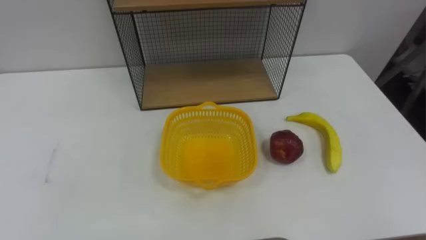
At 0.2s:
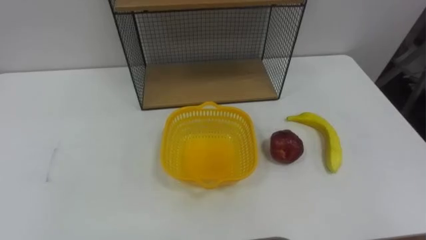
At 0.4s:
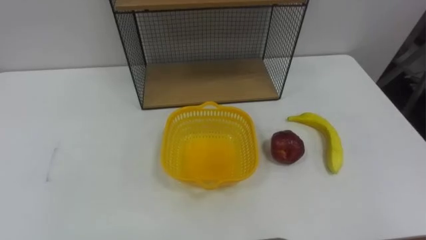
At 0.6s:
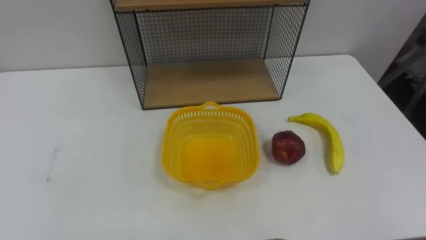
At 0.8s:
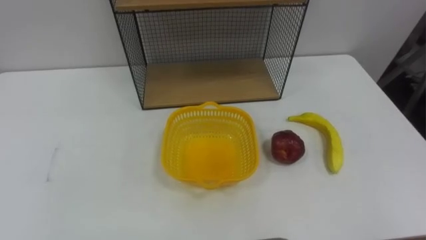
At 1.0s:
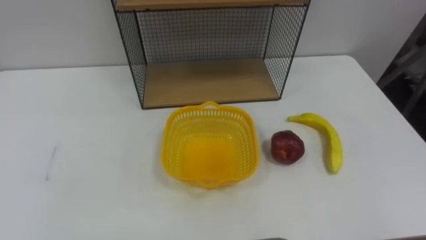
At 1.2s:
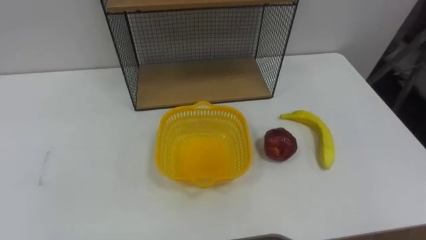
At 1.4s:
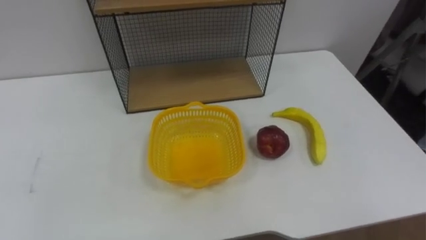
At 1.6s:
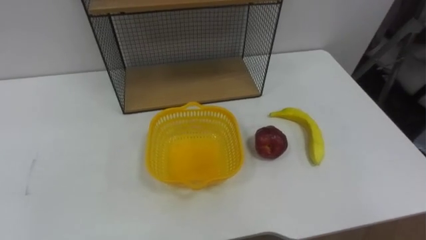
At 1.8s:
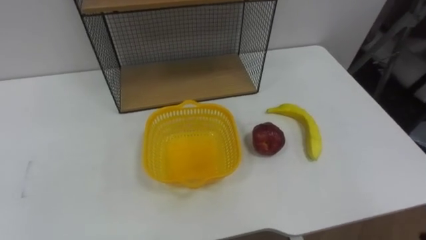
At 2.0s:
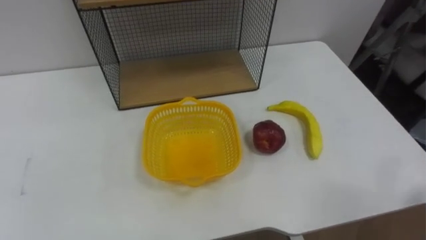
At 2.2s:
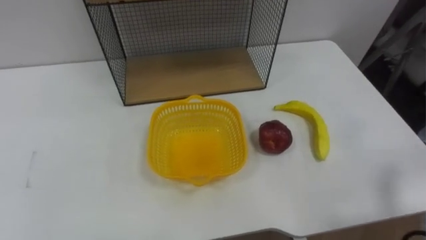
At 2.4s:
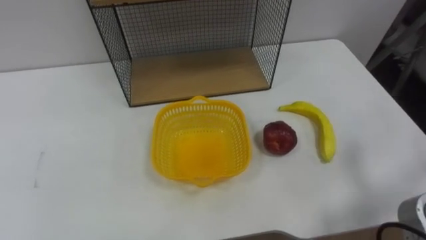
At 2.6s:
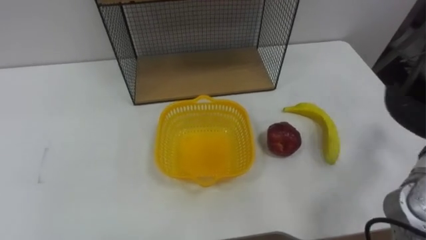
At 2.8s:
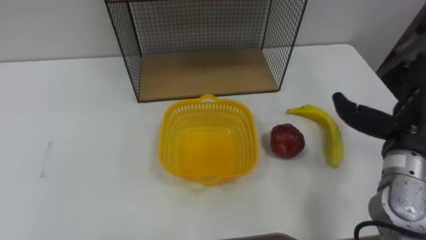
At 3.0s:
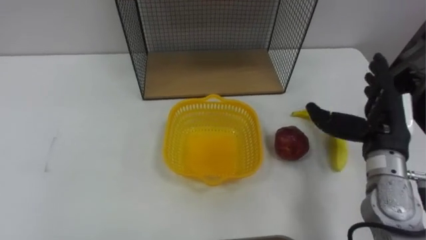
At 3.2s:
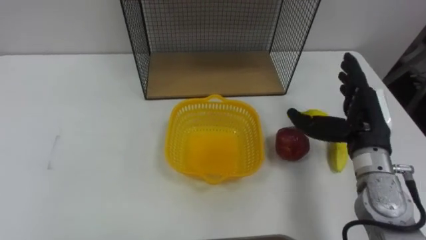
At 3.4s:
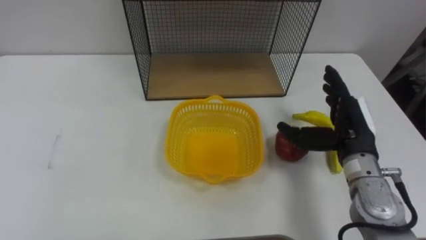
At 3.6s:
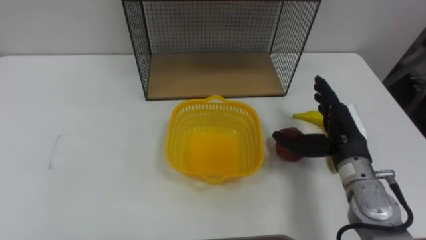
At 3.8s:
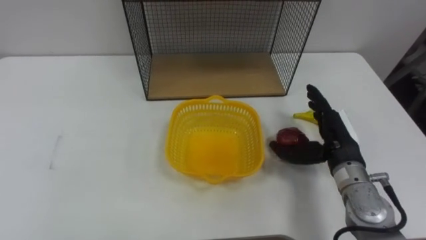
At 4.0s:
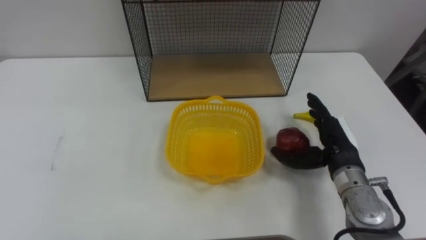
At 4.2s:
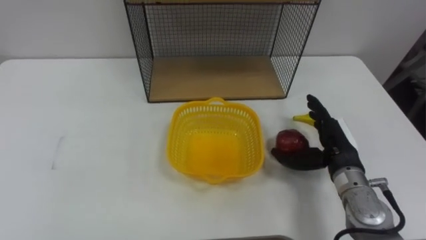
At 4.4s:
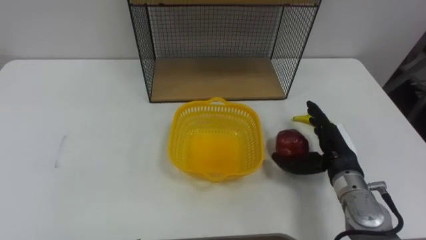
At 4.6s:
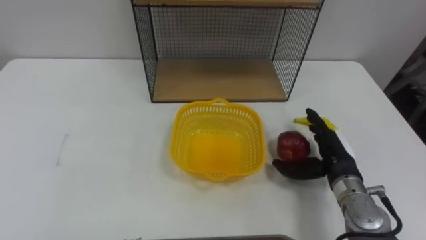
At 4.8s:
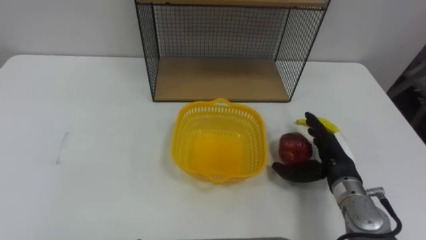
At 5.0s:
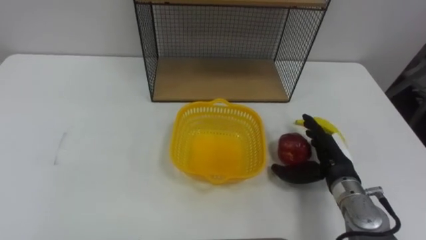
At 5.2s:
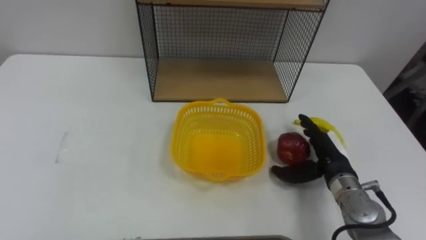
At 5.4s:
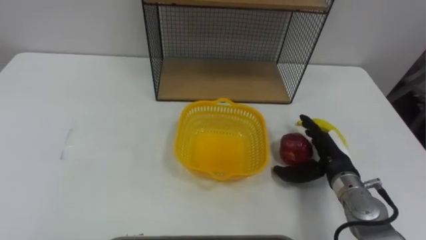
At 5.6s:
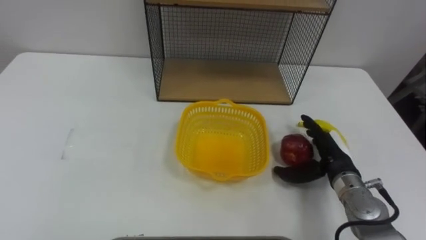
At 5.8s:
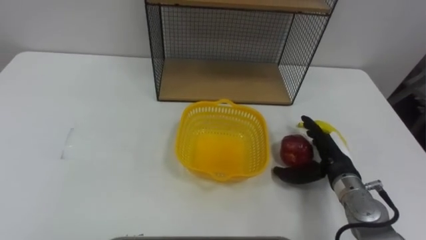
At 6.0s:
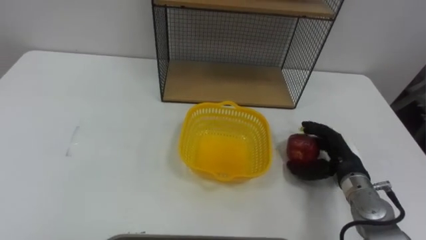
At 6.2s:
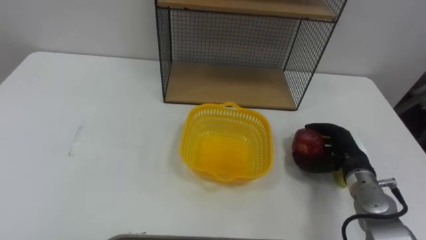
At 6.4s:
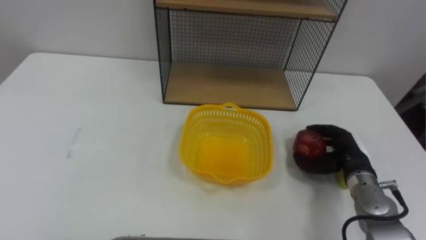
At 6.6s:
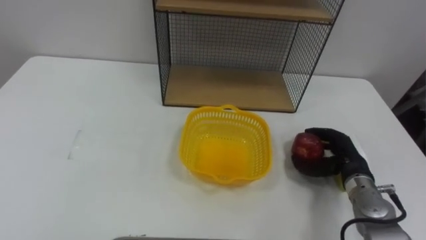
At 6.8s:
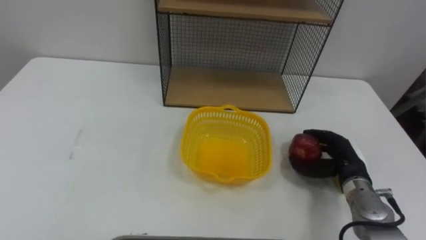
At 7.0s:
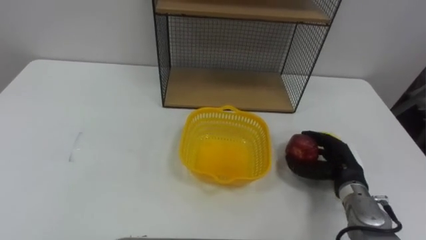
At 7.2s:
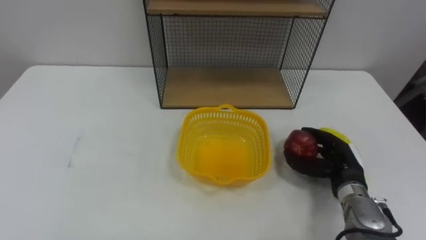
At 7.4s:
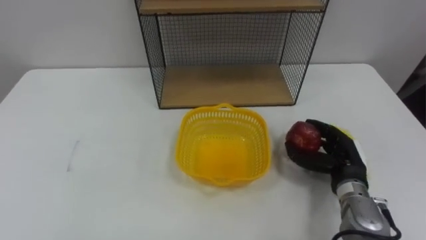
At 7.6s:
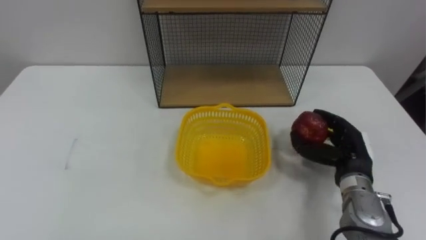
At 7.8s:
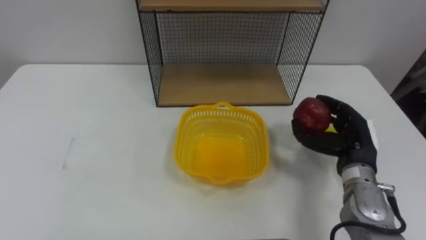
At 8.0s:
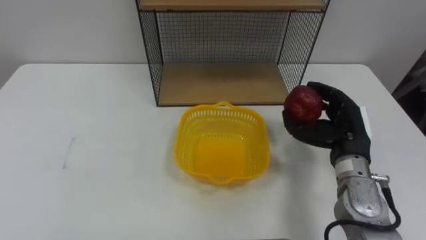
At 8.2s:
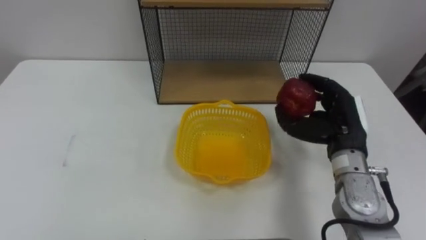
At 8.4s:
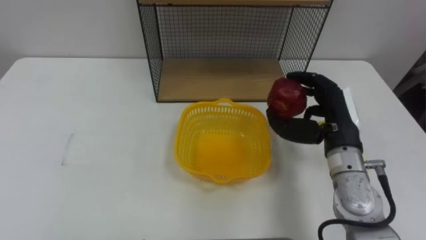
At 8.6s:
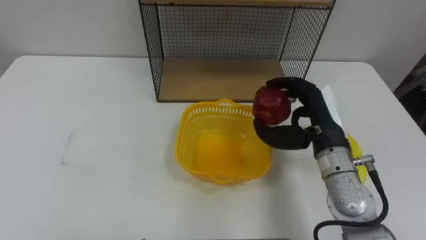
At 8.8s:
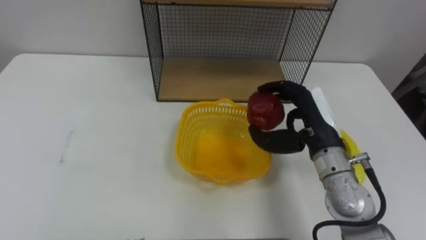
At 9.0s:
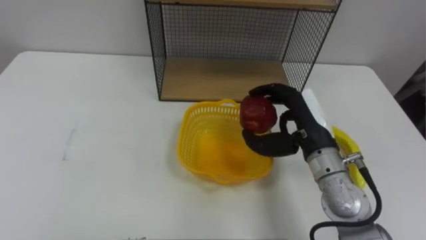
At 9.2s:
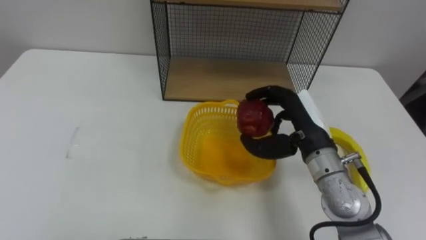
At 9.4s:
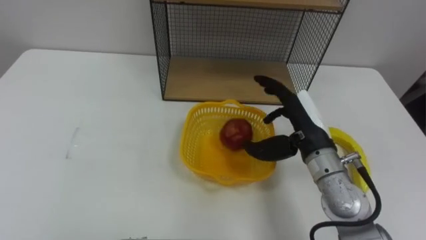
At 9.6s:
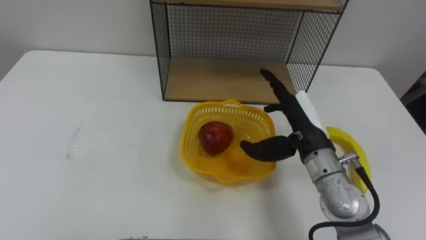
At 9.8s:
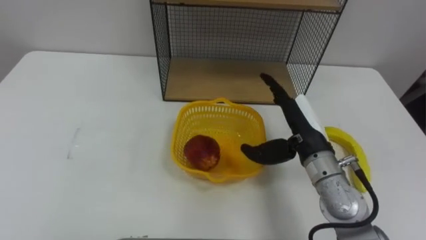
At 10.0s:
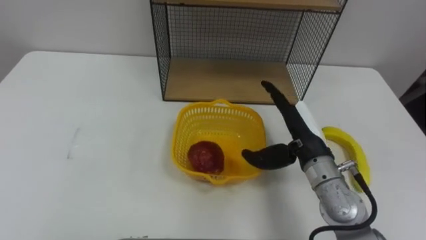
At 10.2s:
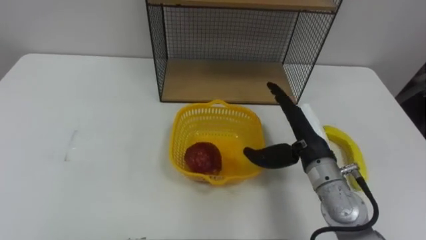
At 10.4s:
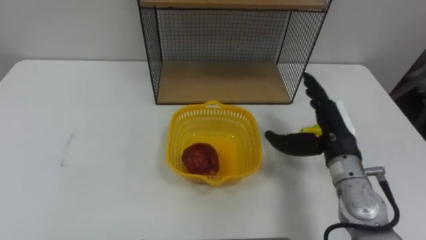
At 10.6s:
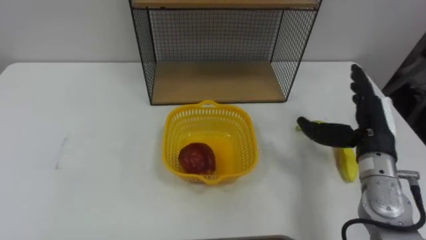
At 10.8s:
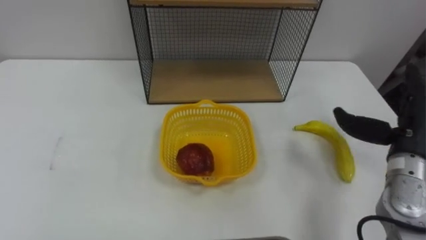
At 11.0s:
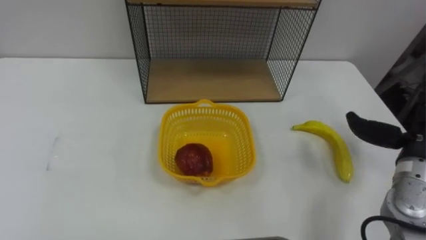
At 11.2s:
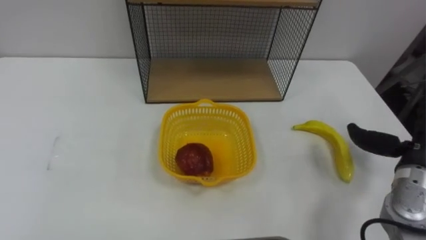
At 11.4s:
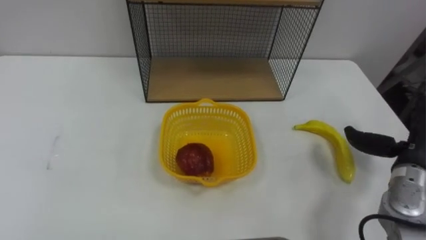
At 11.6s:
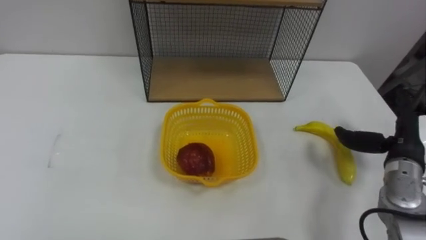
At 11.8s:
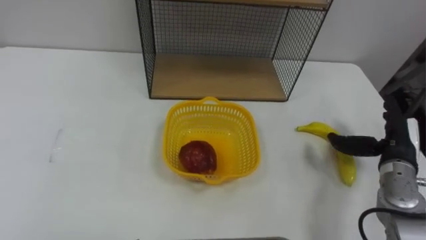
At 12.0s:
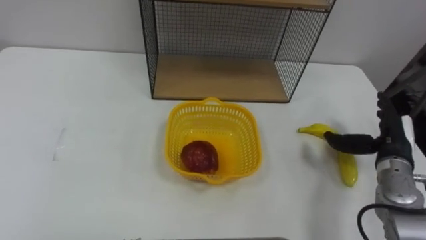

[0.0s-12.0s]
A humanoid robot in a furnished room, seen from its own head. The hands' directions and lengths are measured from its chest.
Task of the whole recording: Put the fruit on the table into the basket, then place the basket on the shelf.
3.0s to 4.4s: The right hand is displaced downward by approximately 10 cm.
4.4s to 6.0s: The right hand shifts by approximately 5 cm.
7.6s to 9.0s: The right hand moves to the left and upward, approximately 15 cm.
9.0s to 10.4s: The right hand moves roughly 5 cm, and opens its fingers.
10.4s to 12.0s: The right hand shifts about 10 cm to the right.

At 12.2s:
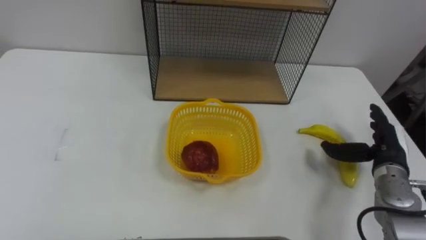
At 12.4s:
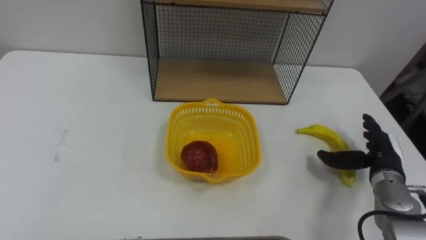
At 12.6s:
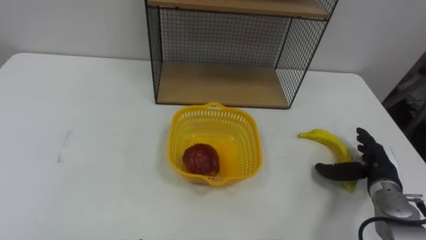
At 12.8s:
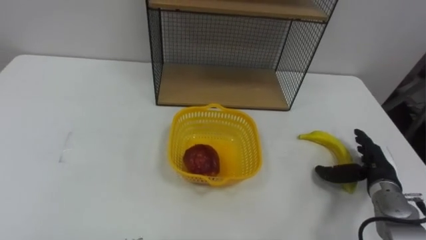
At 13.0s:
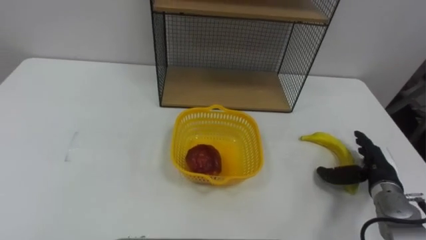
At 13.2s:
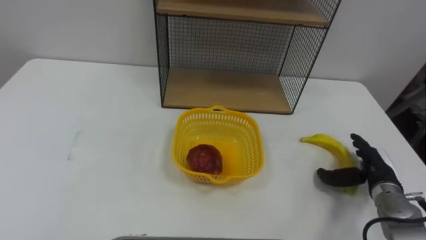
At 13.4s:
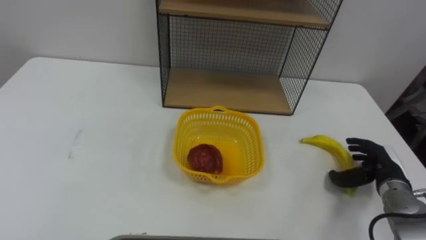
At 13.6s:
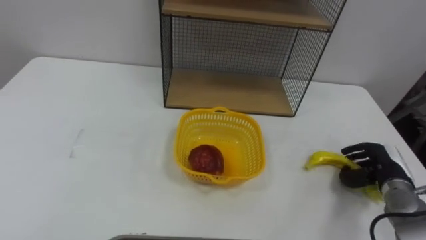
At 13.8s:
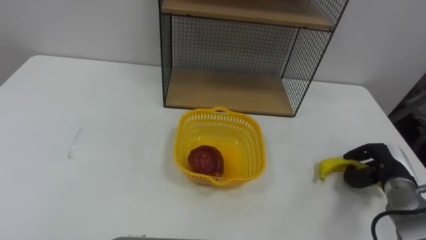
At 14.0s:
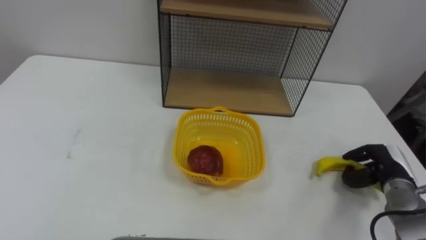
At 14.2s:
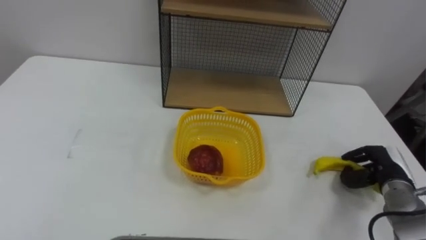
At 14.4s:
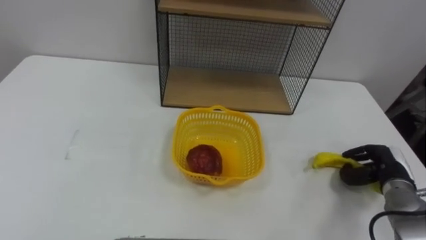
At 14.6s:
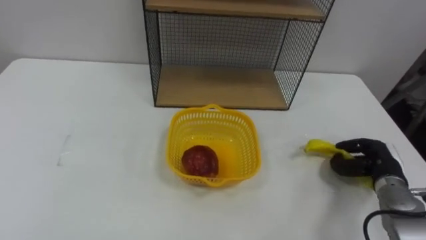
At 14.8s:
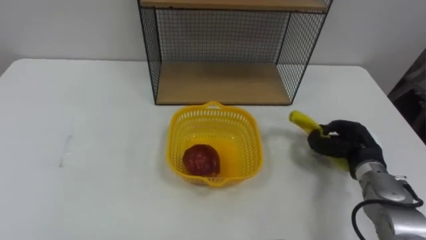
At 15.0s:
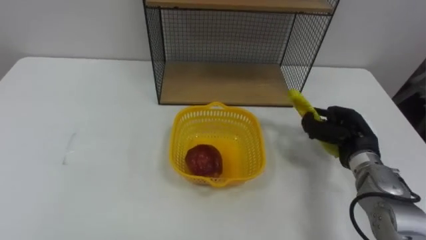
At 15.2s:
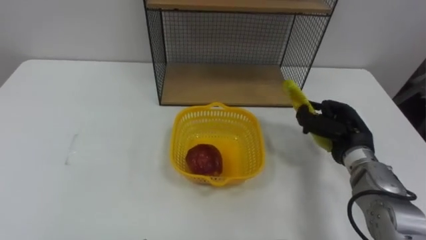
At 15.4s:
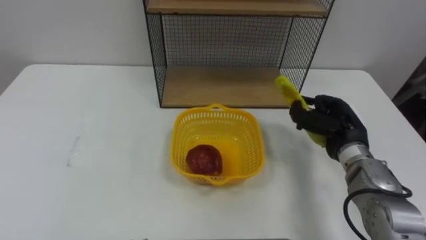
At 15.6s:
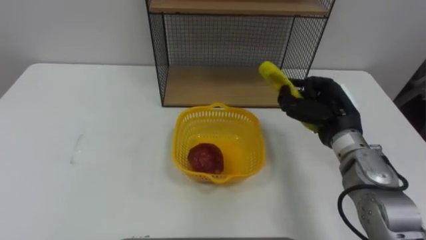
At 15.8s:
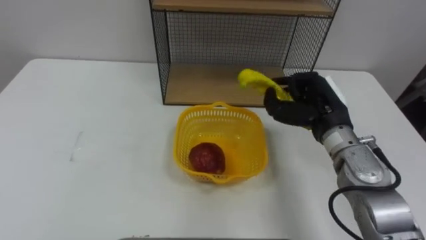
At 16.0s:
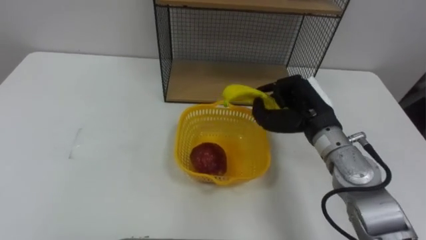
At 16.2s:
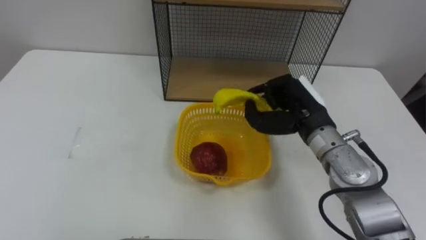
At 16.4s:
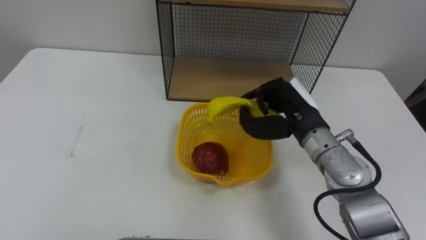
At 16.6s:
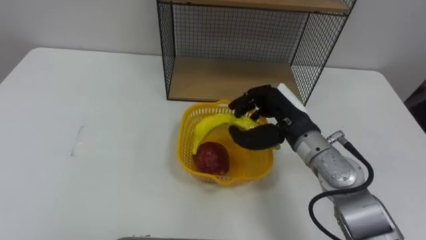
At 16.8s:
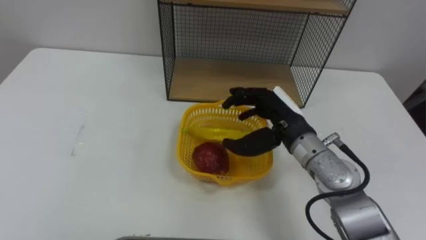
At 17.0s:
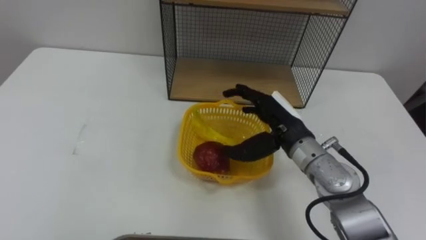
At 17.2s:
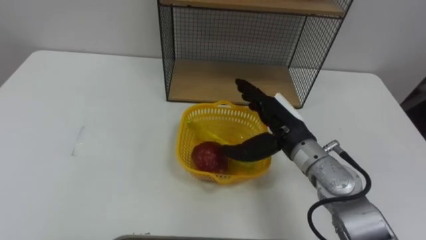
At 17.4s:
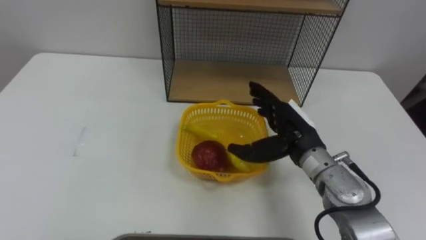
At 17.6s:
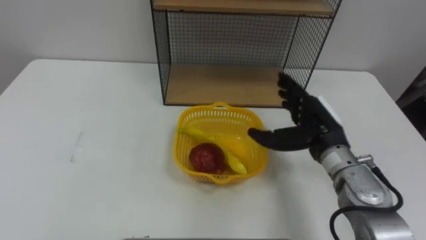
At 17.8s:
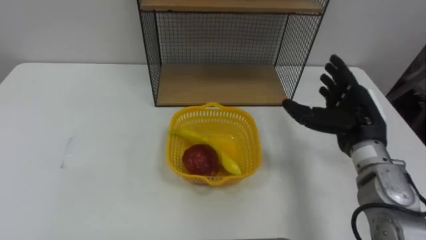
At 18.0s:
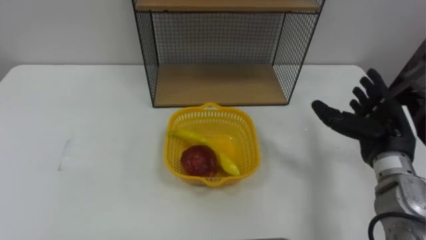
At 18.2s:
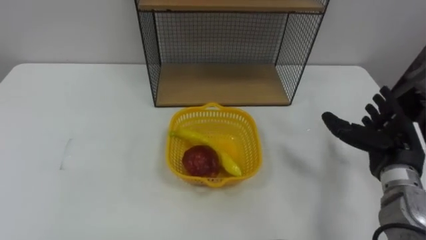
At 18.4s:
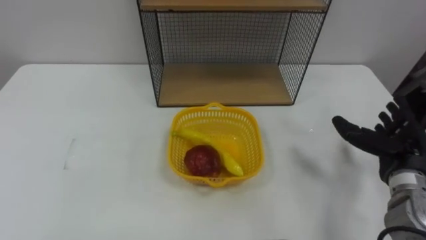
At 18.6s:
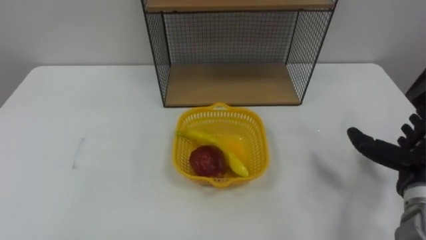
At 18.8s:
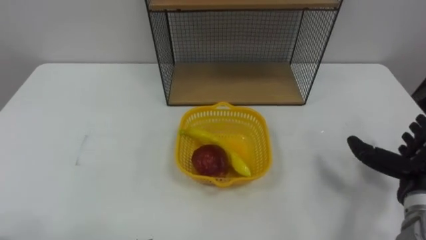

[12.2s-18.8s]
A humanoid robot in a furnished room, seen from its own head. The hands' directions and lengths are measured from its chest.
Task of the whole recording: Put the fruit on the table into the basket, then place the basket on the shelf.
12.2s to 13.8s: The right hand shifts about 5 cm downward, and closes.
13.8s to 15.4s: The right hand travels to the left, upward and forward by about 15 cm.
15.4s to 17.2s: The right hand is displaced to the left by about 10 cm, and opens its fingers.
17.2s to 18.8s: The right hand heads to the right and backward, covering about 25 cm.
